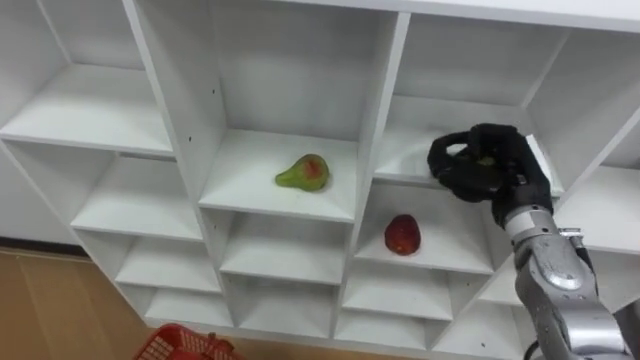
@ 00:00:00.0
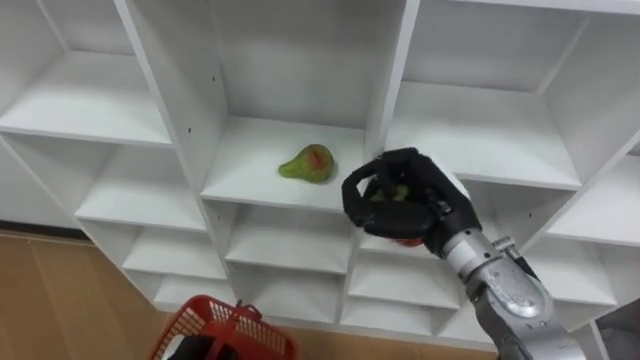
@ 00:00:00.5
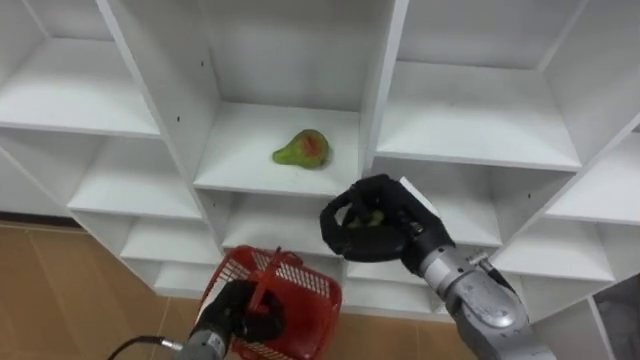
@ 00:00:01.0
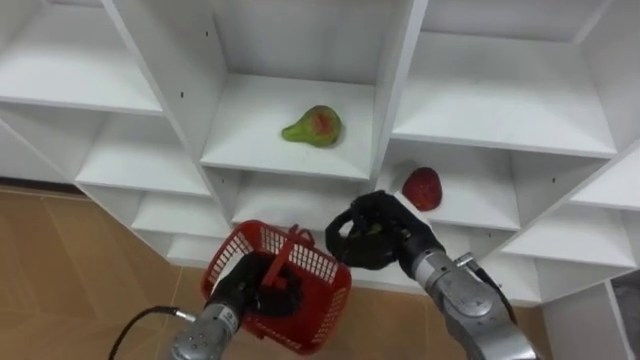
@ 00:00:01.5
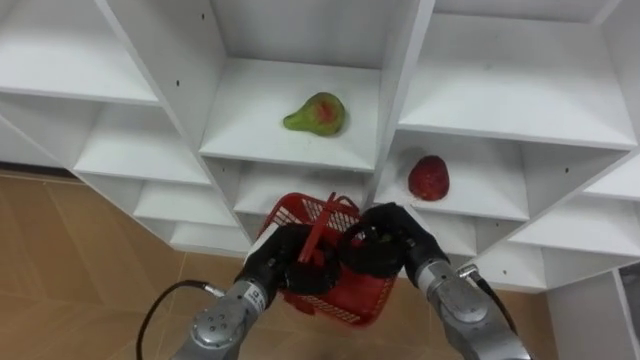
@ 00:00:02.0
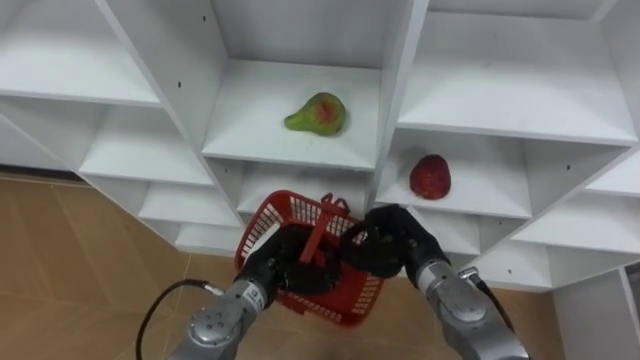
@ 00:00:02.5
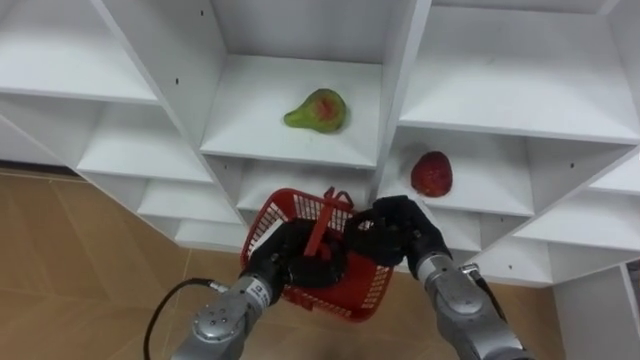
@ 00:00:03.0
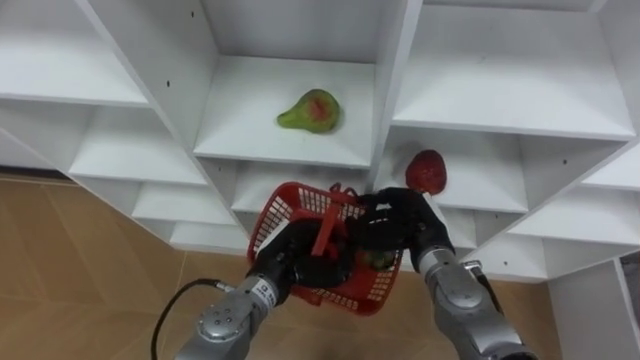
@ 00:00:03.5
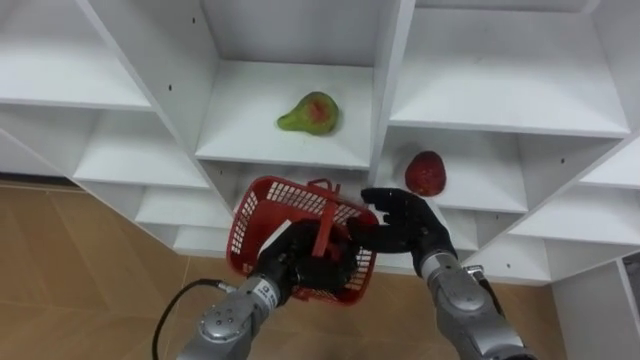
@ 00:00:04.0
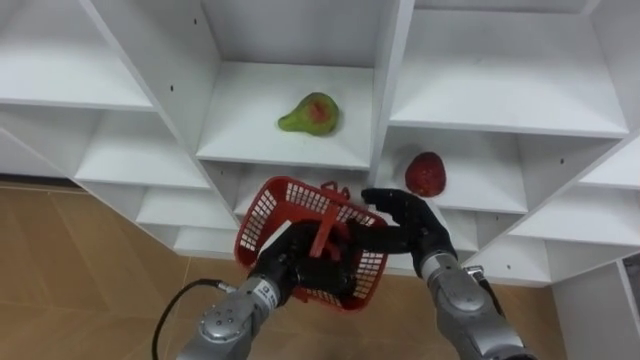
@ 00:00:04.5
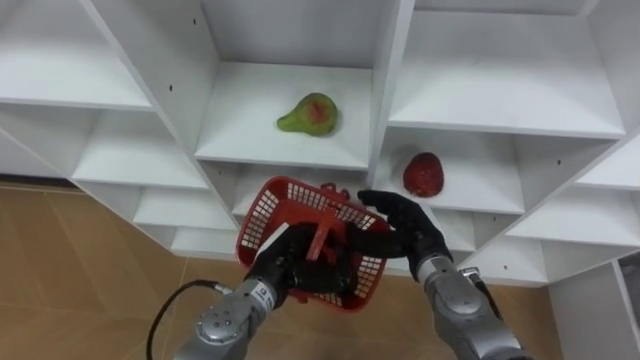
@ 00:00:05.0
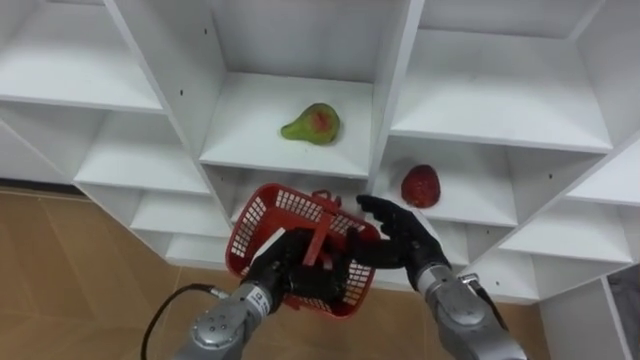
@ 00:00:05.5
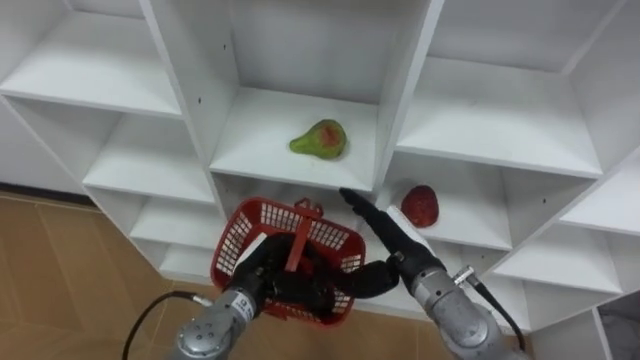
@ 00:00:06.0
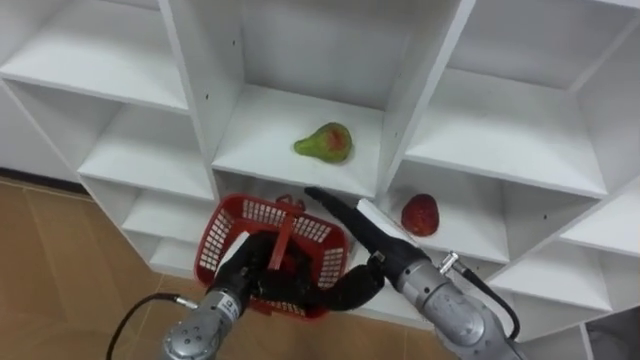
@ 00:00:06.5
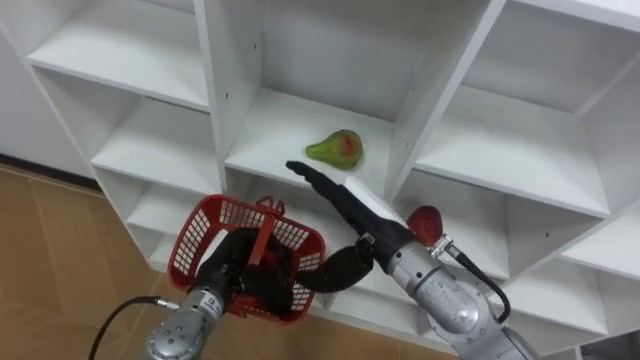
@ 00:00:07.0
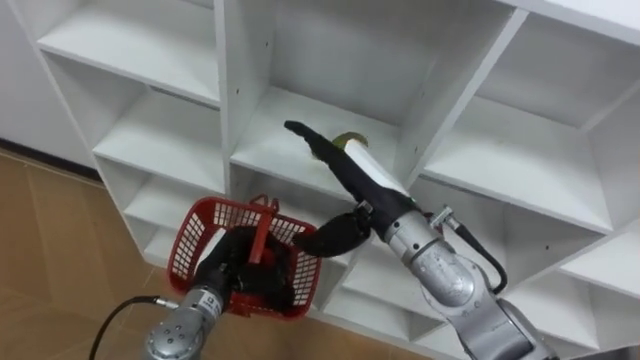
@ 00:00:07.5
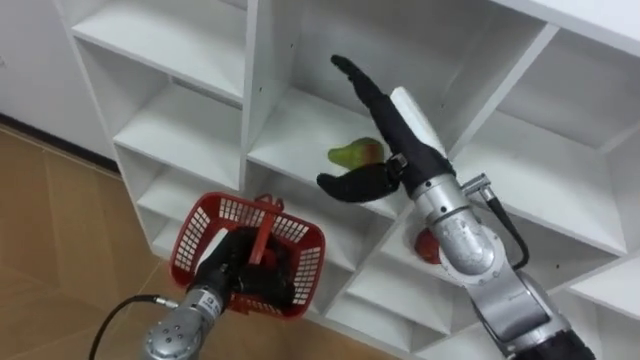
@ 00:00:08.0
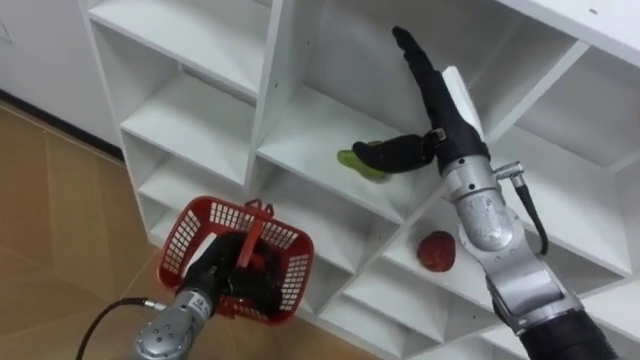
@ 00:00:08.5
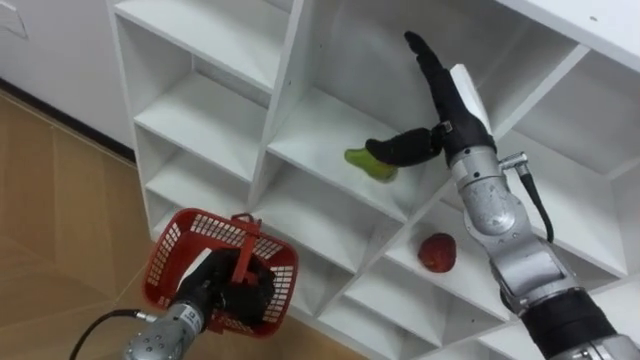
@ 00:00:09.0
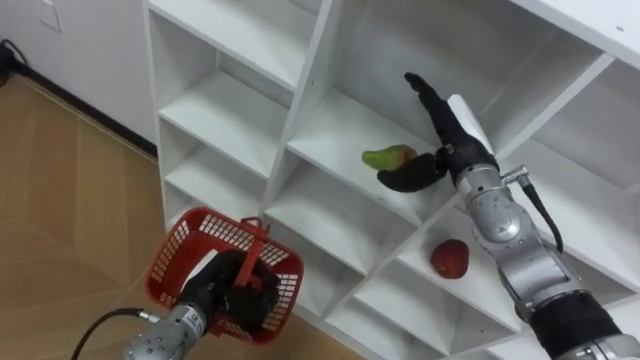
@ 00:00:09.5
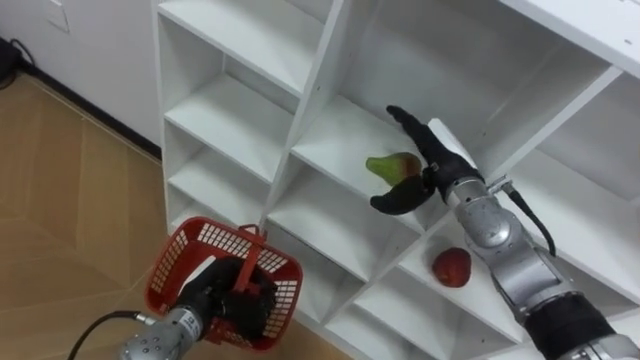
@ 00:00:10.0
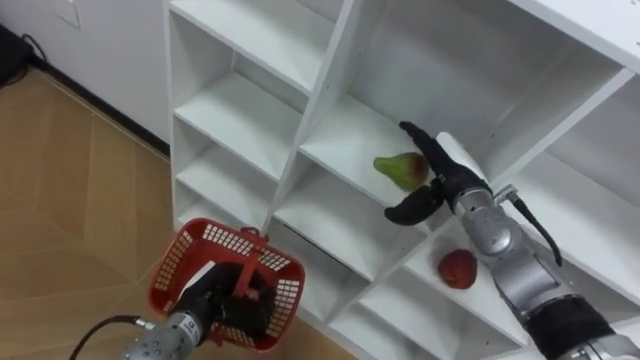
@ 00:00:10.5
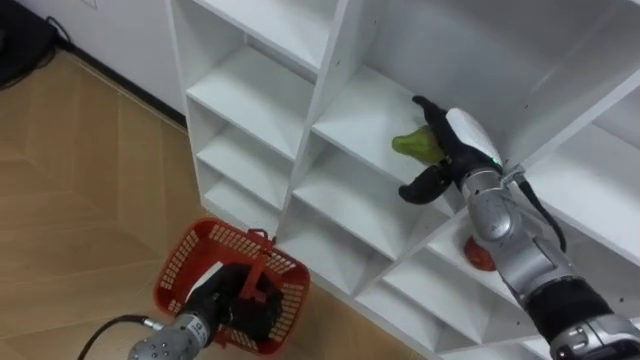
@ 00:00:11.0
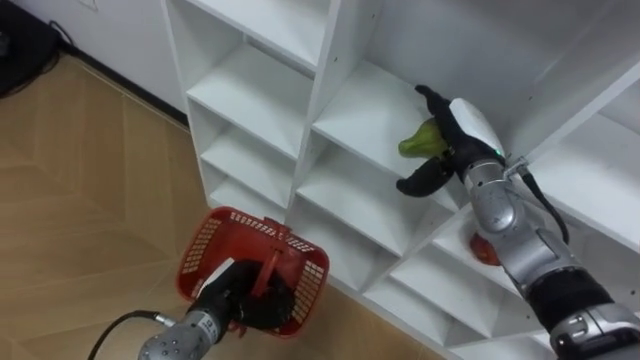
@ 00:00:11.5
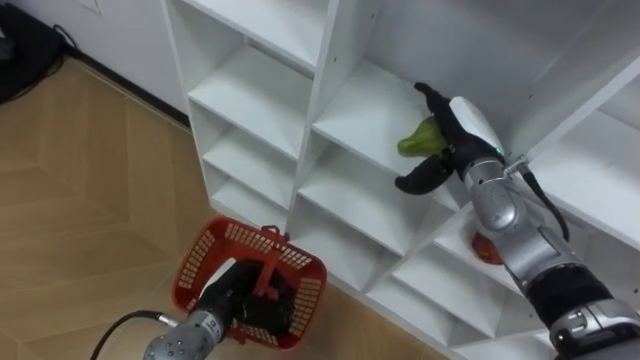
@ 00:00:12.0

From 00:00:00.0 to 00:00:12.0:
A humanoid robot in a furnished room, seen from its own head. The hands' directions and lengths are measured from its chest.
Task of the whole recording: Hold the basket and collect the fruits from 3 different cells of the closet into it.
From 00:00:00.0 to 00:00:02.0: The right hand moves to the left and downward, roughly 15 cm.
From 00:00:02.0 to 00:00:04.0: The right hand opens.
From 00:00:06.0 to 00:00:08.0: The left hand travels to the left by about 5 cm, while the right hand is displaced upward by approximately 15 cm.
From 00:00:08.0 to 00:00:10.0: The right hand moves downward and to the right, approximately 10 cm.

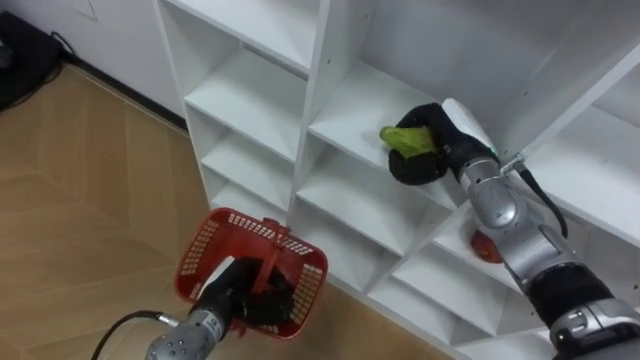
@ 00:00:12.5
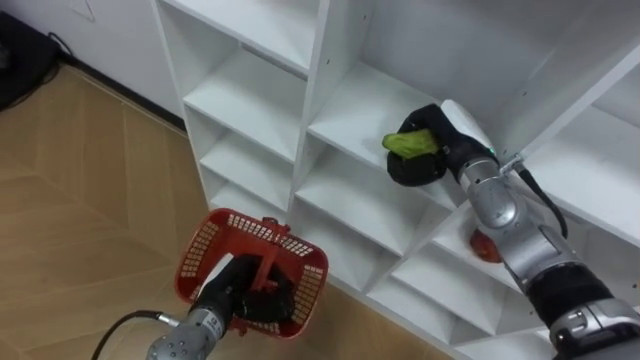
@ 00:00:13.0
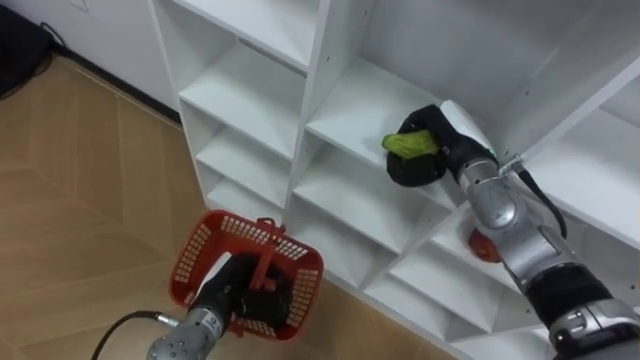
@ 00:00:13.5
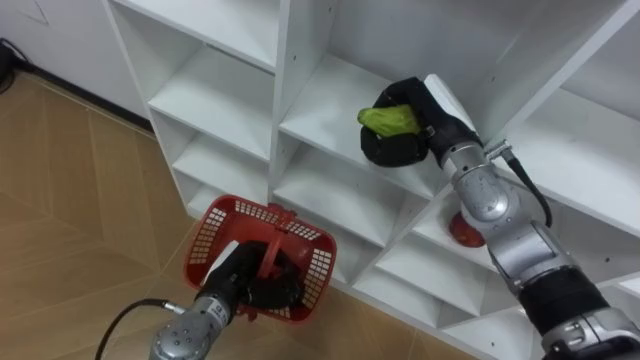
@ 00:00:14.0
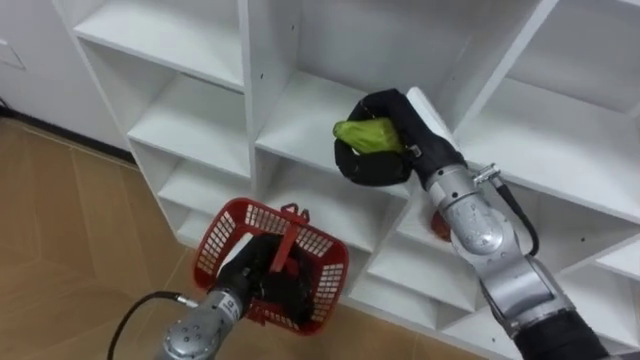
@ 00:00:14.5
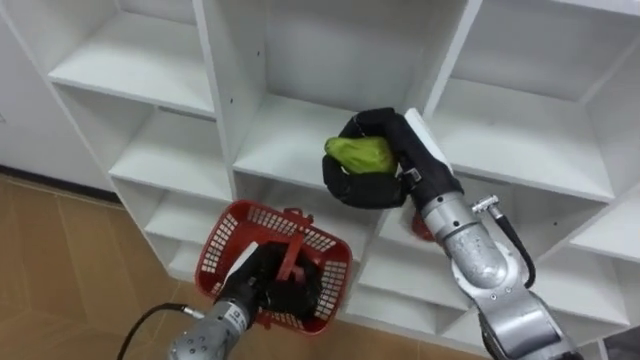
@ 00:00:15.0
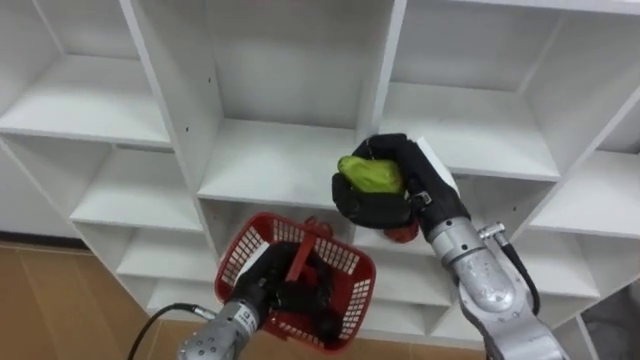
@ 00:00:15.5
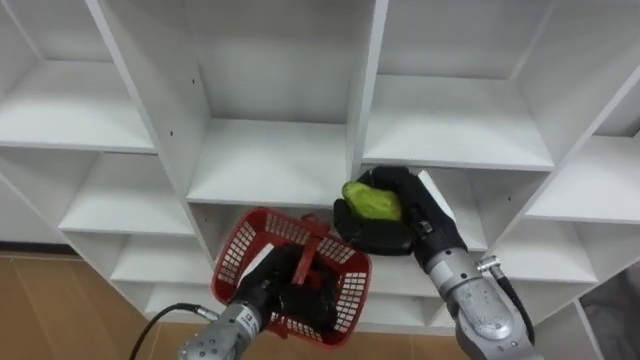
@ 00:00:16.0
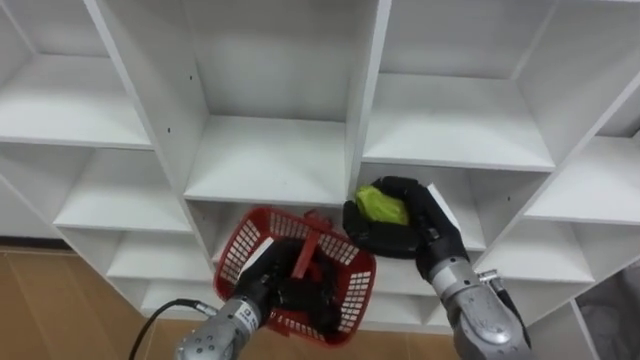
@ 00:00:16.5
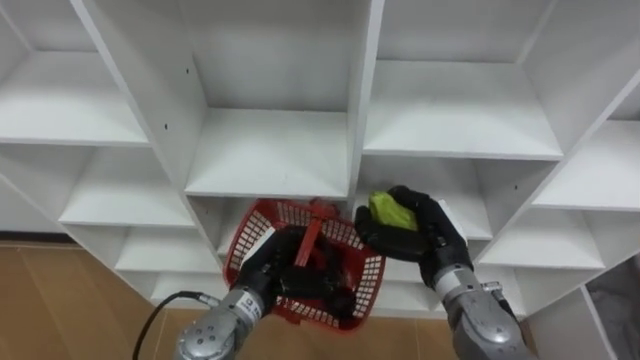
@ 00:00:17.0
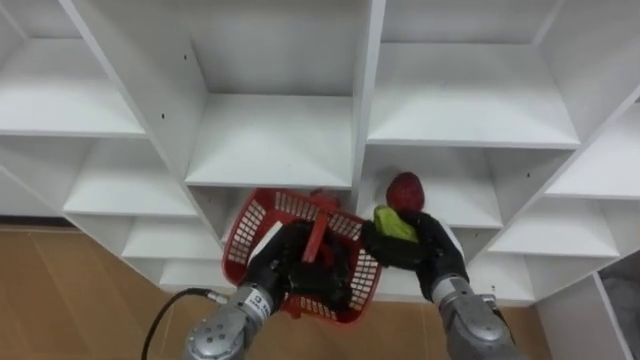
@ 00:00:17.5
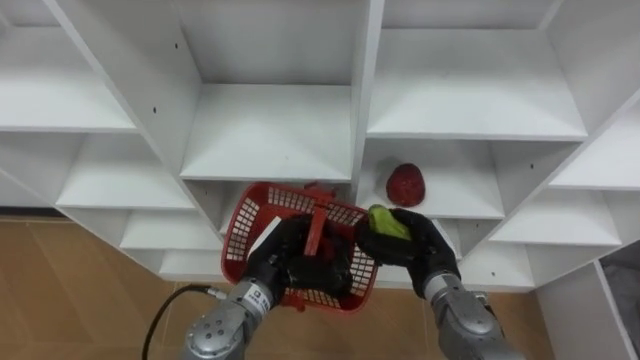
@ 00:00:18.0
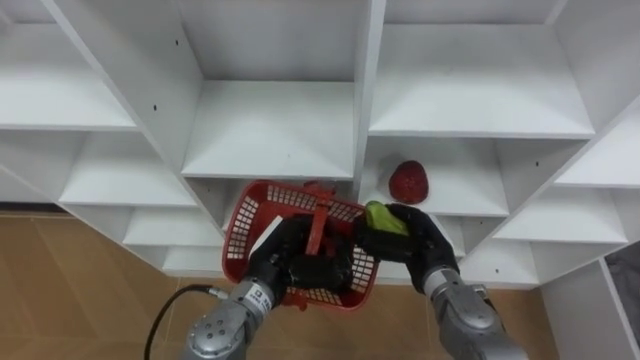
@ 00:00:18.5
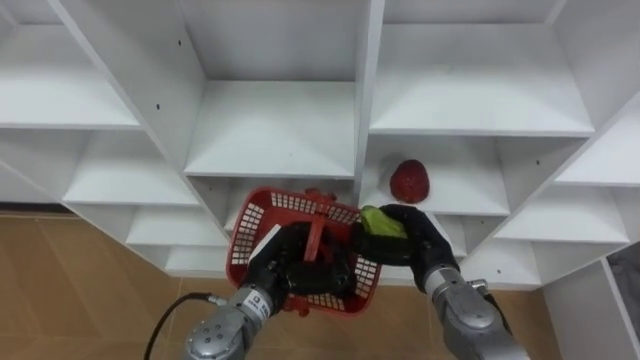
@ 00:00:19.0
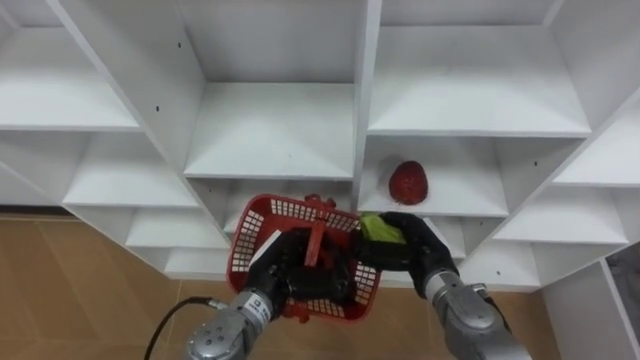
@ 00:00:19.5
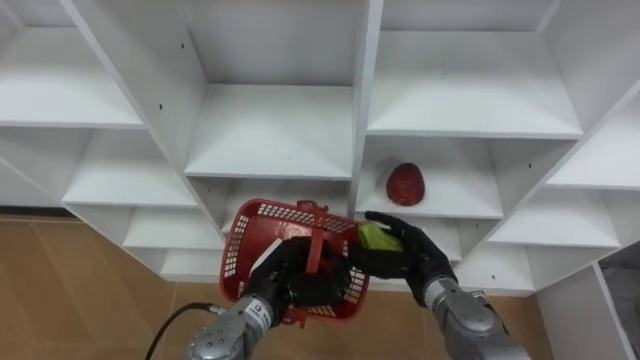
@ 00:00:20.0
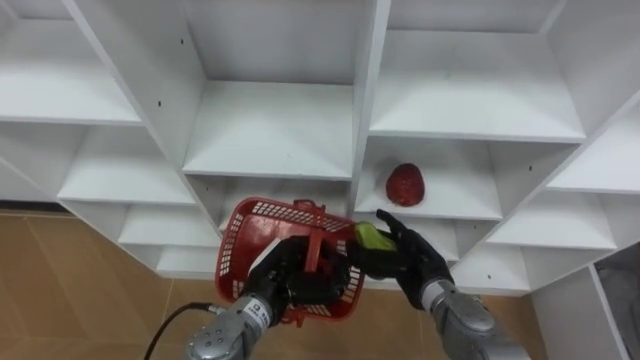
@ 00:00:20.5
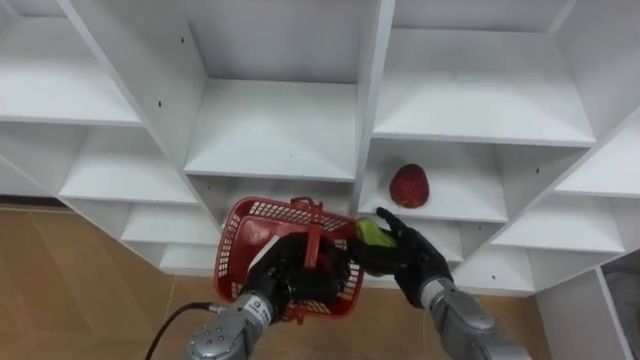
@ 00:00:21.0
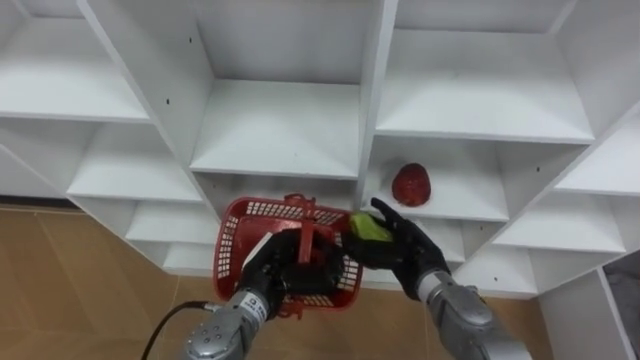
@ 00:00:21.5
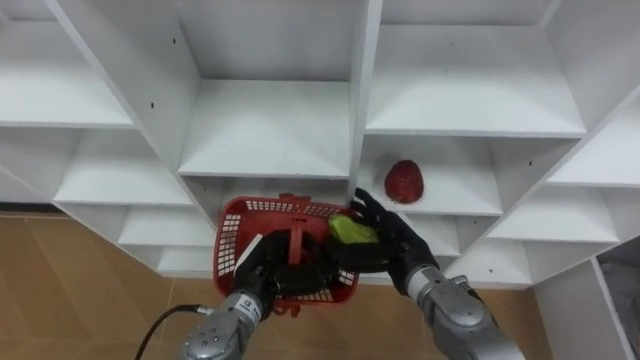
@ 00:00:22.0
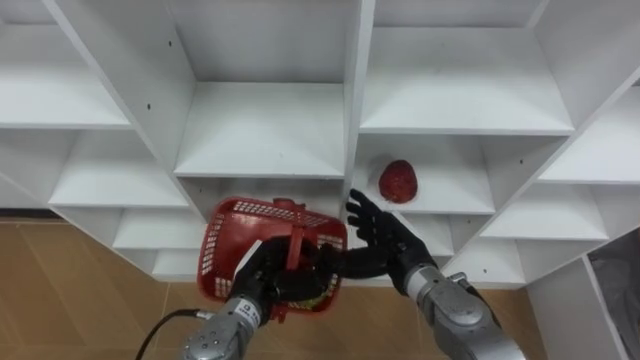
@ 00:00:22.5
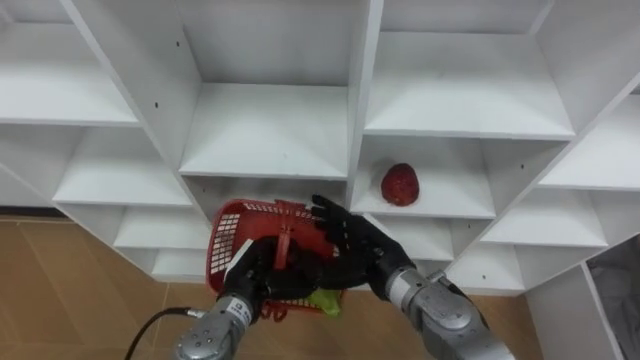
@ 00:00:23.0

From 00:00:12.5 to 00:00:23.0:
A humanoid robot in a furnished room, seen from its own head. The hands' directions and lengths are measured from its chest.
Task of the whole recording: Hold the basket and collect the fruits from 3 different cells of the closet into it.
From 00:00:12.5 to 00:00:14.5: The right hand goes roughly 10 cm to the left and upward.
From 00:00:14.5 to 00:00:16.5: The right hand shifts about 10 cm downward and backward.
From 00:00:16.5 to 00:00:19.0: The right hand shifts some 5 cm downward.
From 00:00:19.0 to 00:00:21.0: The right hand opens.
From 00:00:21.0 to 00:00:23.0: The right hand moves to the left and upward, approximately 5 cm.
